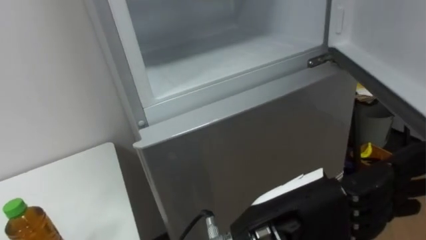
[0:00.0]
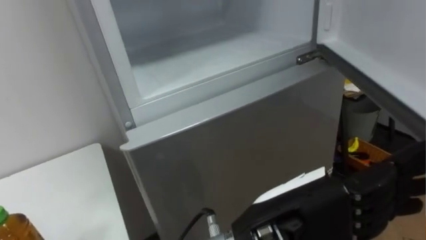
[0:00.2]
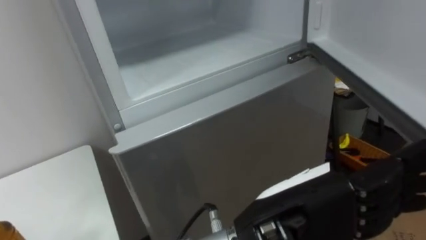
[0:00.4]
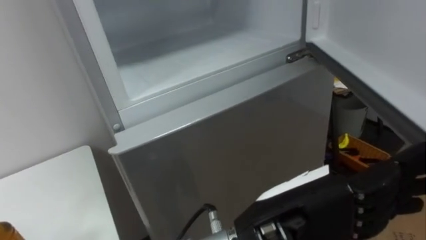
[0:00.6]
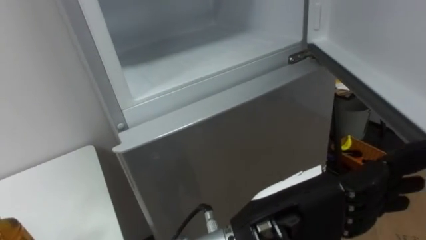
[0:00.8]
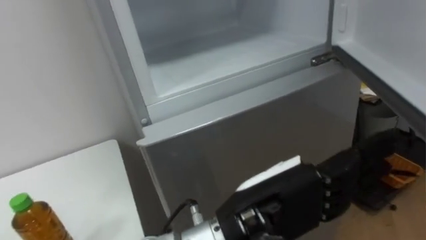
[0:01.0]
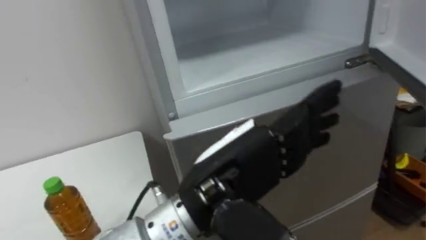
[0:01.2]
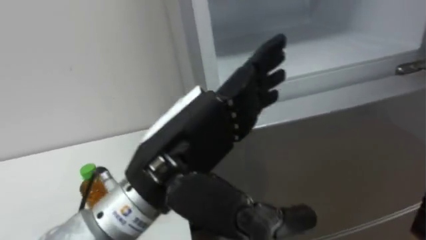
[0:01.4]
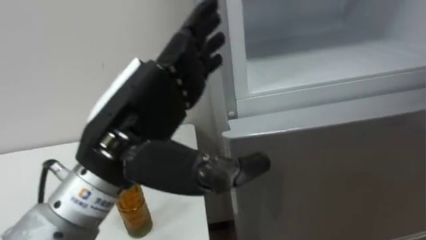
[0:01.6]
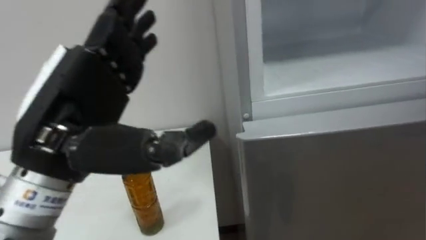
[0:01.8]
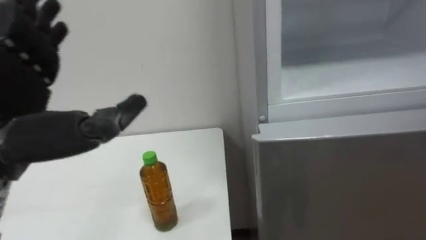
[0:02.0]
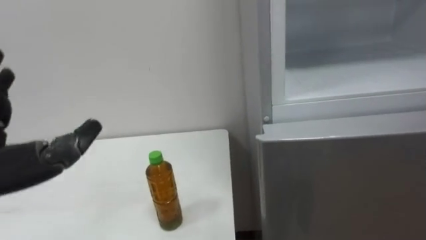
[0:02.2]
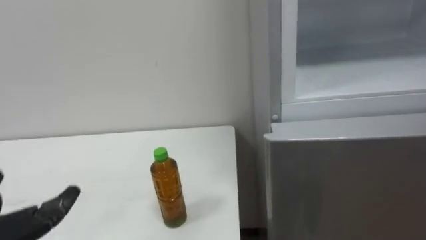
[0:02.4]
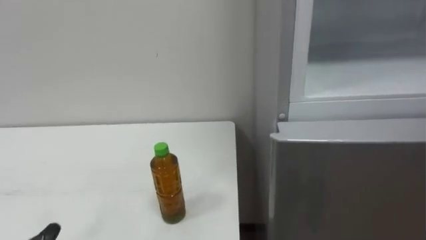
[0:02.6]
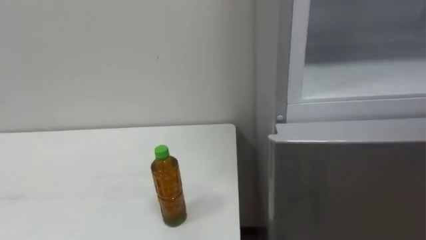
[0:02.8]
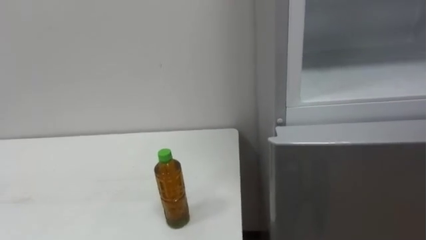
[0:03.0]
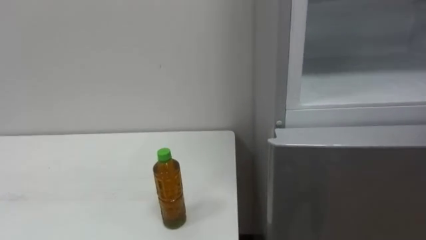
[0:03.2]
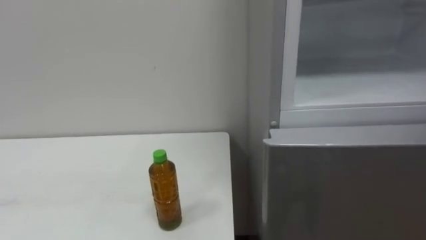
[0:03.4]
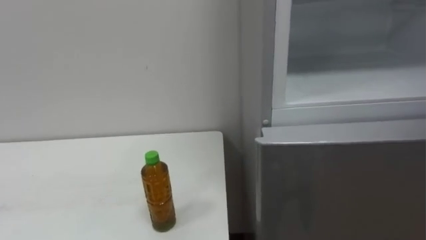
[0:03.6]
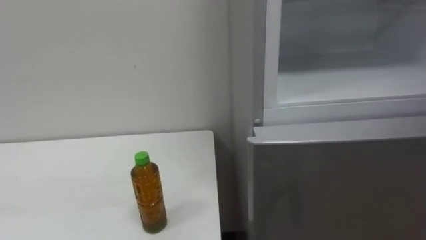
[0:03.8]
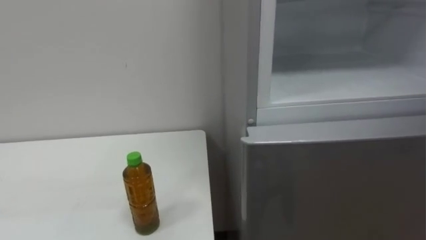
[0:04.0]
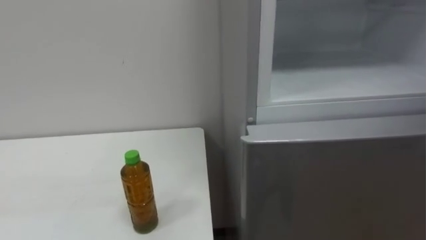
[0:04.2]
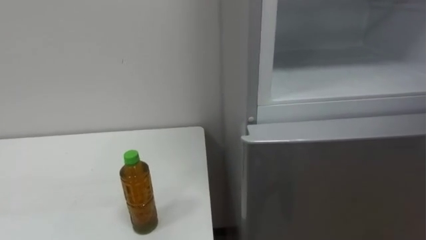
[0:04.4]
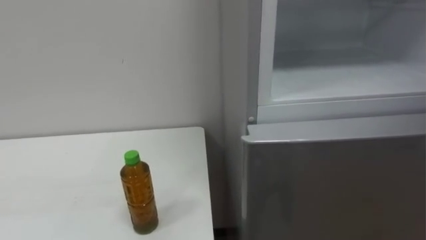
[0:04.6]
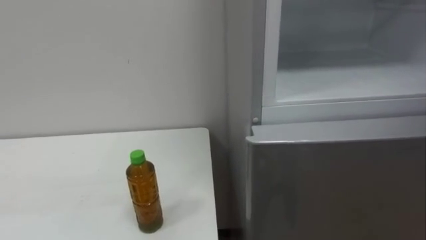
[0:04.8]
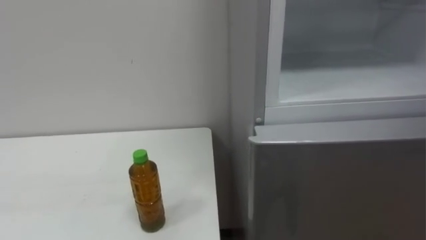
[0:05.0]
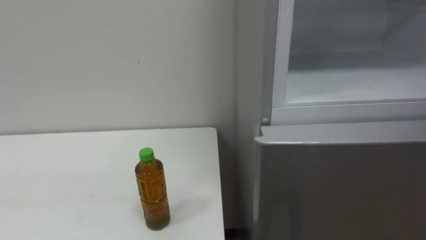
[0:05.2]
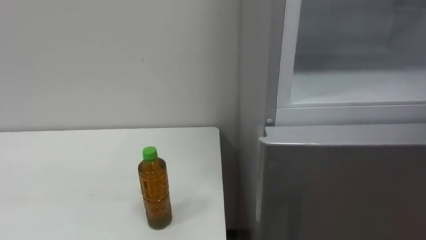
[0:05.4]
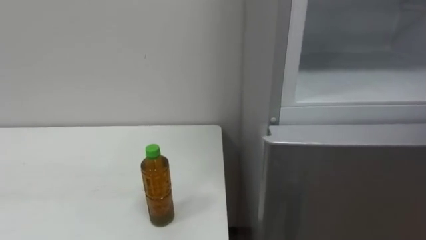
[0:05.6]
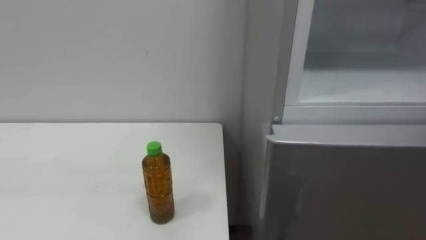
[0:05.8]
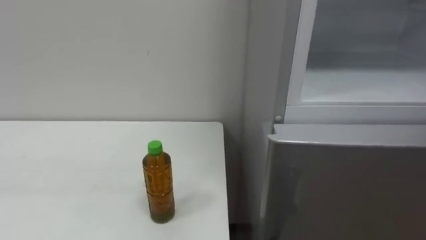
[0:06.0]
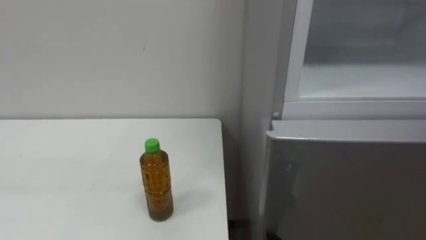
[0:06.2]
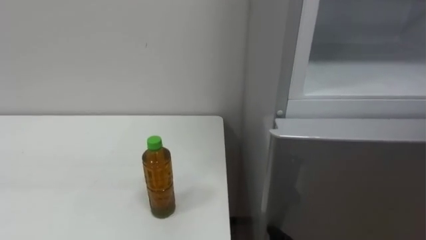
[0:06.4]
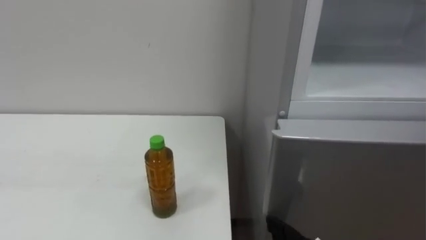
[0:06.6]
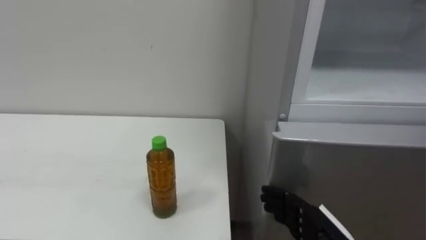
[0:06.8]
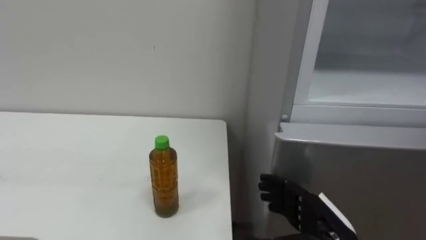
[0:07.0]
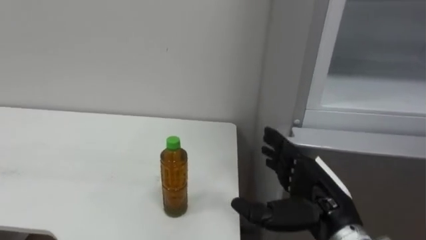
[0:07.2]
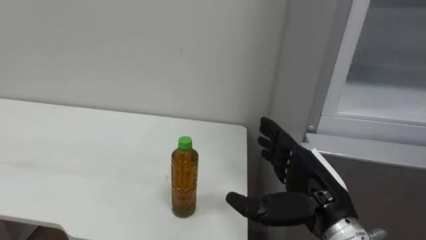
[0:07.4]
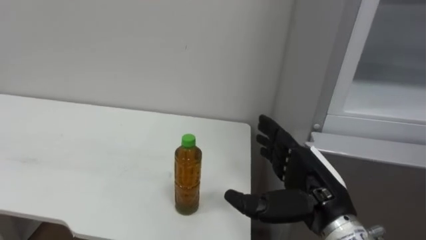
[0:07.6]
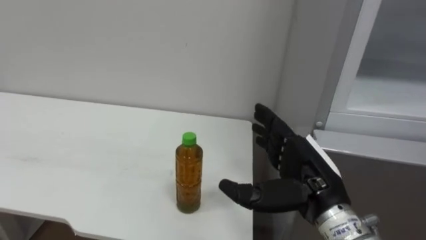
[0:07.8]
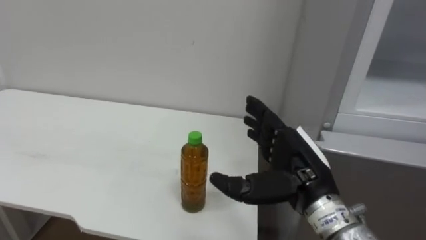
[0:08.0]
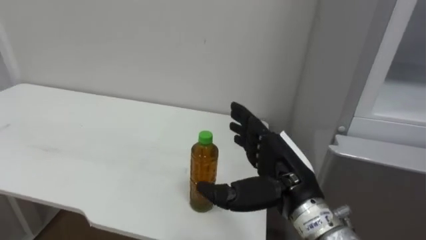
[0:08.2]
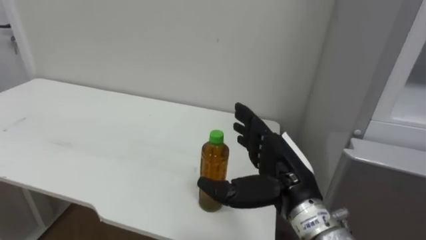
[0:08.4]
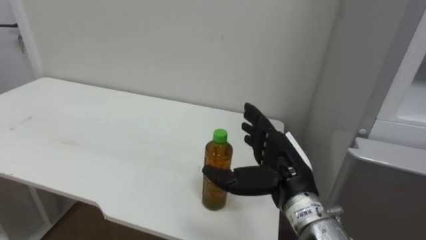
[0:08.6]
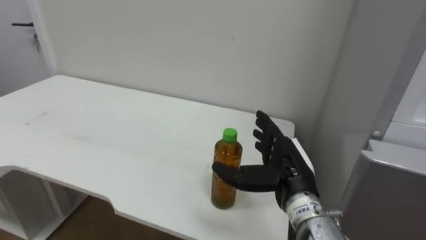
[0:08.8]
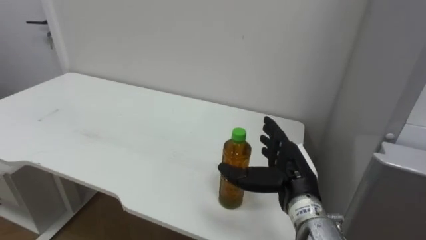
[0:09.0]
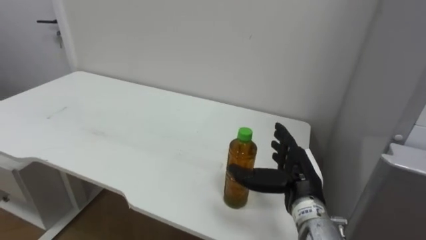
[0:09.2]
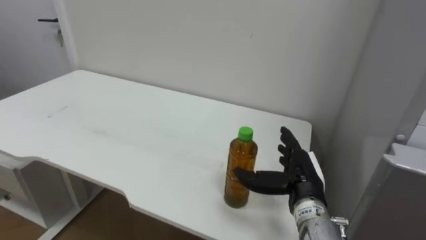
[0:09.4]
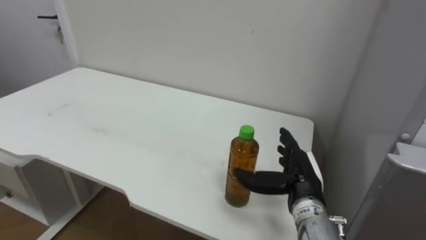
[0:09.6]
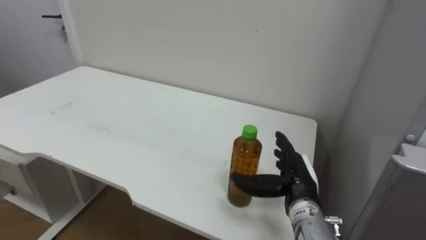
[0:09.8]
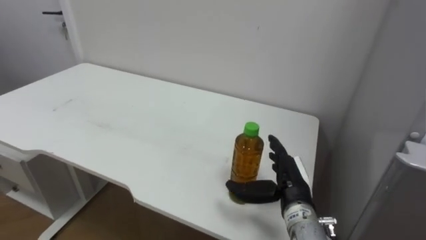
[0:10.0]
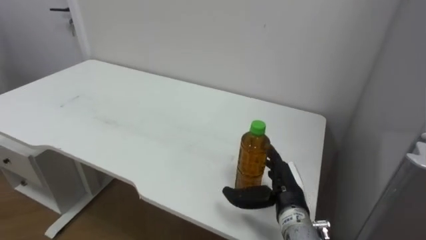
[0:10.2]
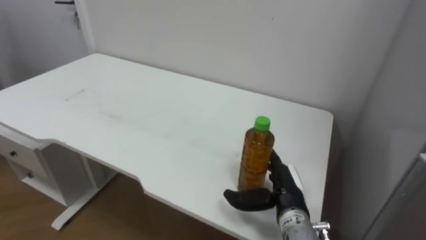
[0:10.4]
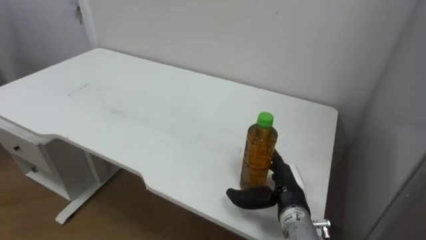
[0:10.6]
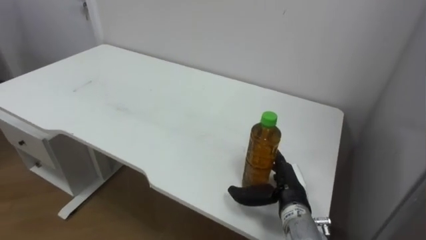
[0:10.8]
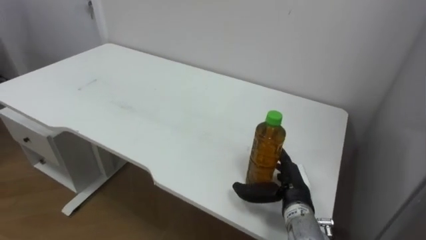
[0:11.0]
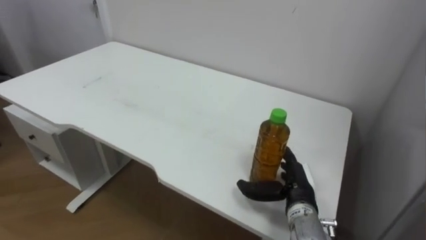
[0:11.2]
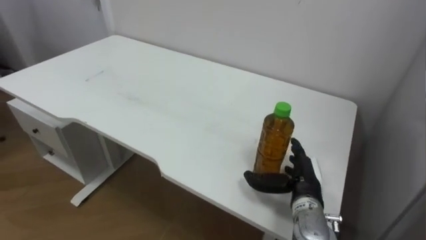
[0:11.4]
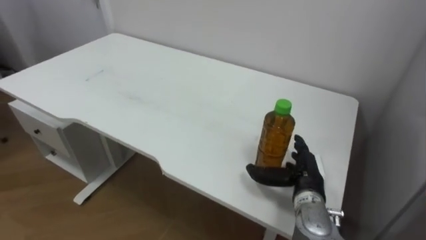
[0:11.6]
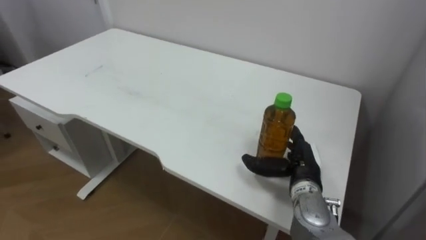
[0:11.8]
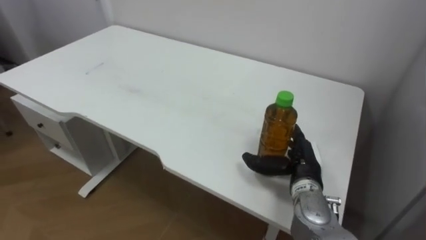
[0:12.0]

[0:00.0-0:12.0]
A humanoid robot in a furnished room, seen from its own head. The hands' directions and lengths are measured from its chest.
Task of the whole recording: Open the upper refrigerator door, put the drink from the table into the refrigerator, and then close the refrigerator door.
0:00.0 to 0:01.6: The left hand travels to the left and upward by some 15 cm.
0:07.6 to 0:09.0: The right hand shifts some 5 cm forward.
0:09.0 to 0:10.4: The right hand moves downward, approximately 5 cm.
0:10.4 to 0:12.0: The right hand changes place by roughly 5 cm.

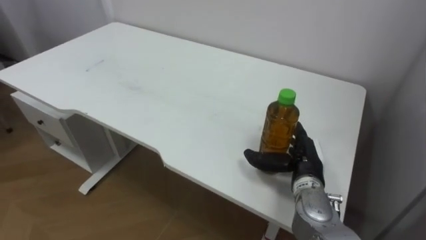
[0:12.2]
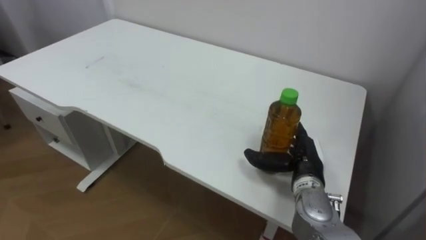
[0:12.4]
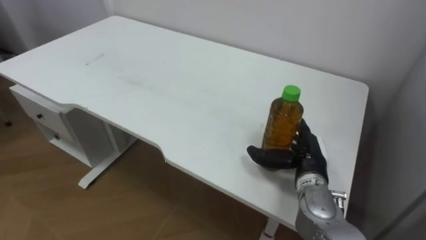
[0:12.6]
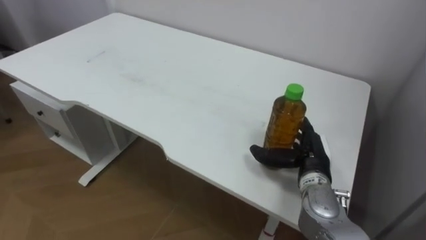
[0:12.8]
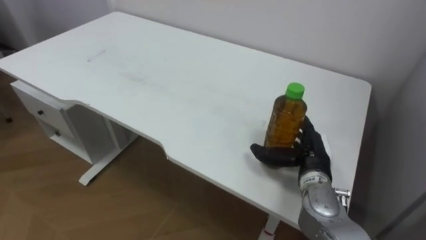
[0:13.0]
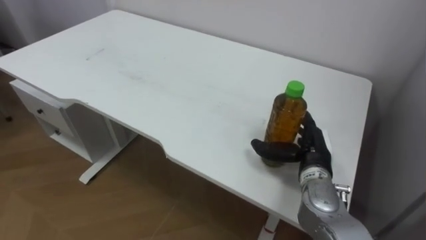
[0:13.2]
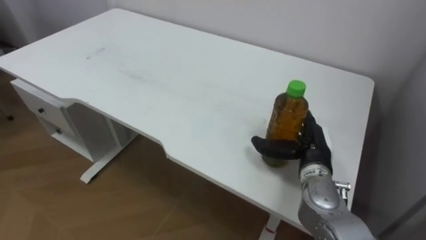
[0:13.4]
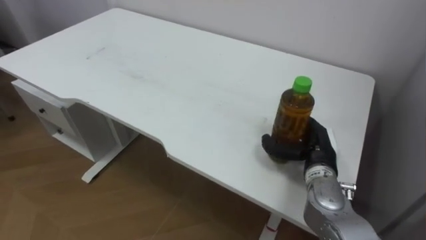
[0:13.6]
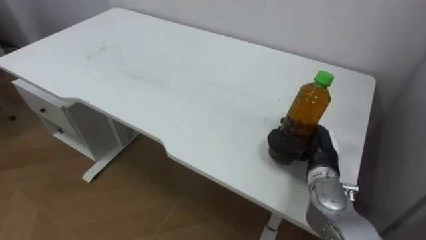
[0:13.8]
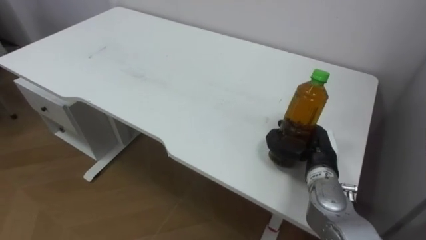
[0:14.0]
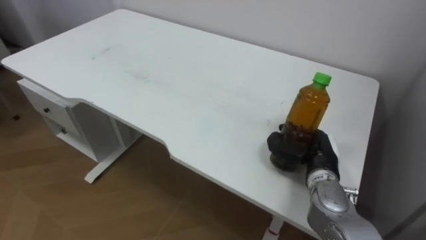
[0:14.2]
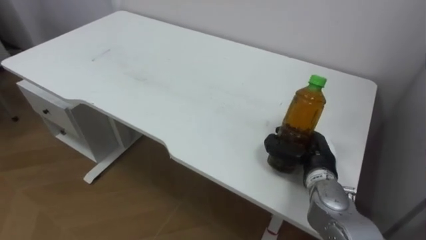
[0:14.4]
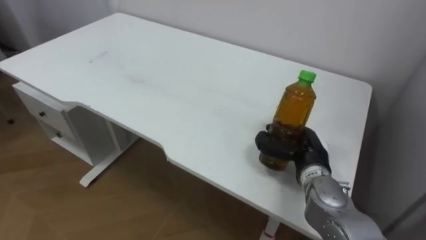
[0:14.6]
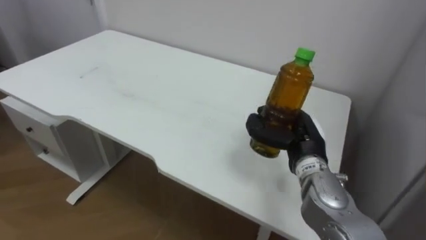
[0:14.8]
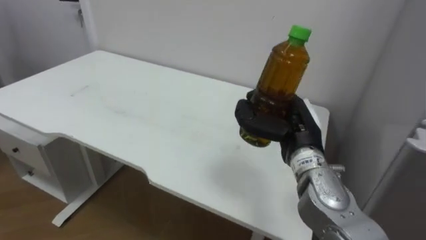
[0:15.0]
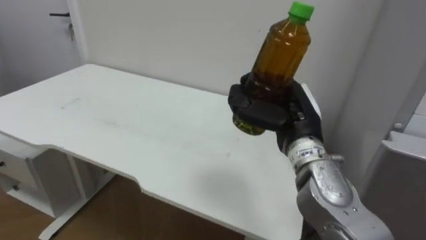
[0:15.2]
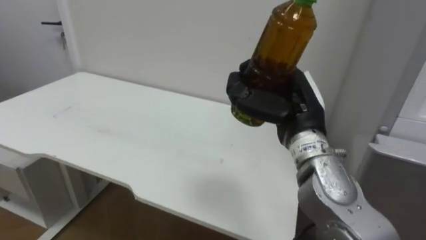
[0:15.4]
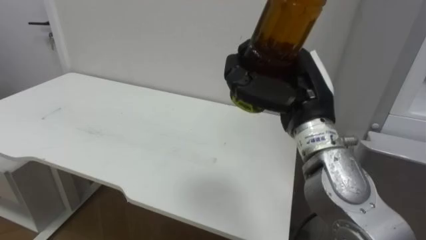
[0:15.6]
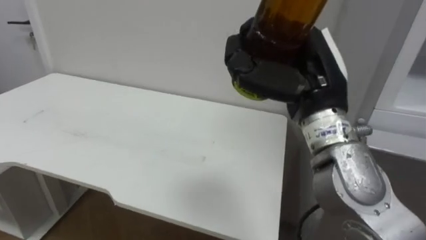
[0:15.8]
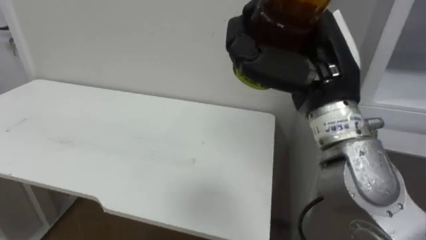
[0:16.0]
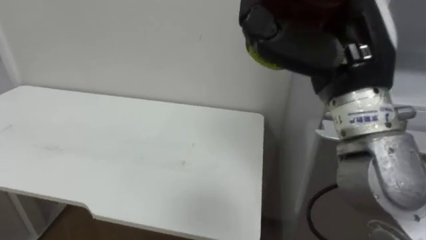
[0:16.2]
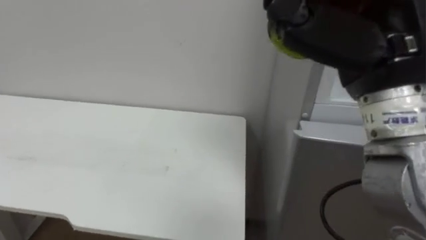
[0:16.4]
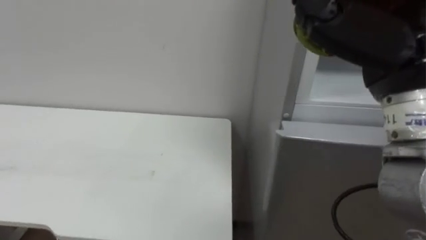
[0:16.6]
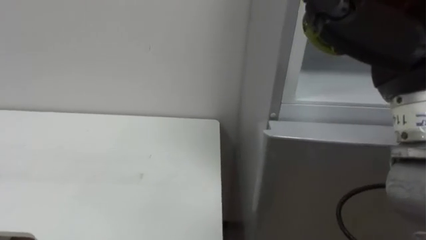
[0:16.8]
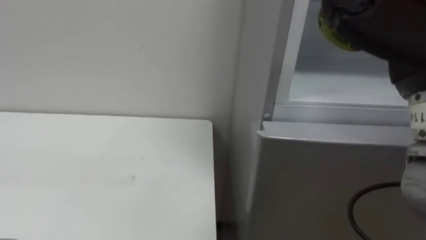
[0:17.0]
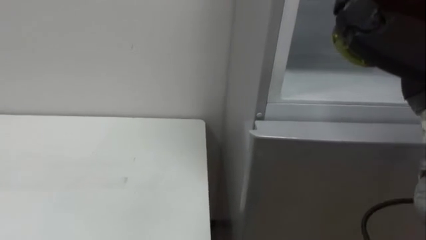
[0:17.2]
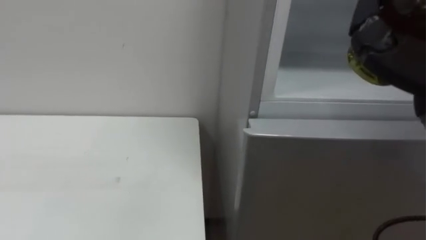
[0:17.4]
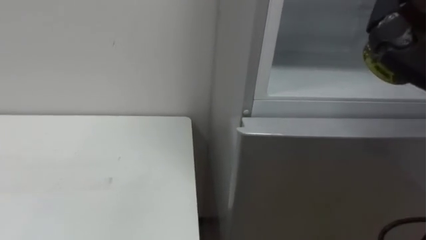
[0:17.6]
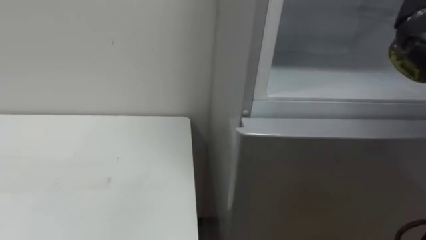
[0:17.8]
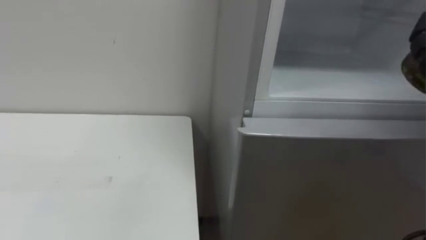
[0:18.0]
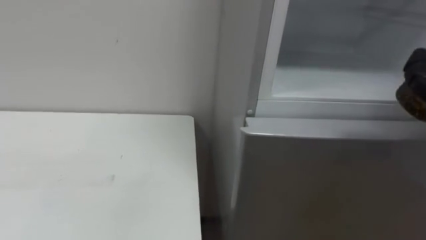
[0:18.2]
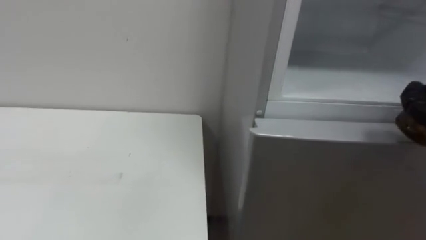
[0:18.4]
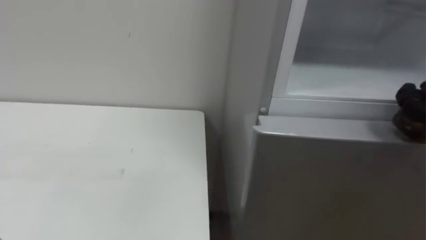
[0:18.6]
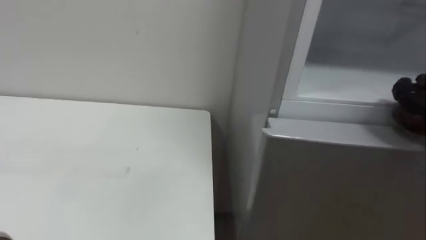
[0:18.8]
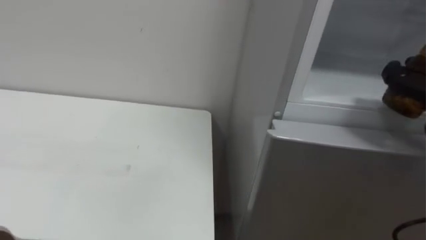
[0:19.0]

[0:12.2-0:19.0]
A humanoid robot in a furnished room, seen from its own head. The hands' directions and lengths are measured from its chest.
Task of the whole recording: Open the upper refrigerator door, put the drink from the table into the refrigerator, and then close the refrigerator door.
0:13.6 to 0:15.0: The right hand goes roughly 5 cm upward, and closes.
0:15.0 to 0:16.2: The right hand goes approximately 20 cm upward and backward.
